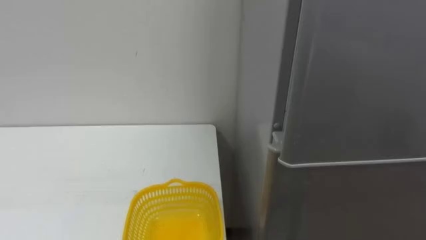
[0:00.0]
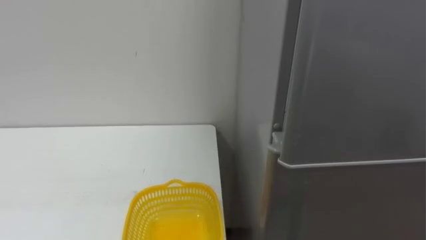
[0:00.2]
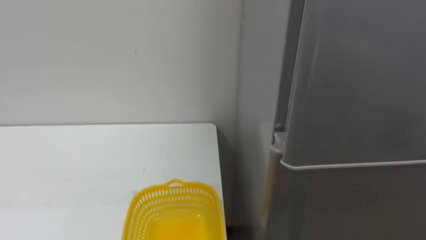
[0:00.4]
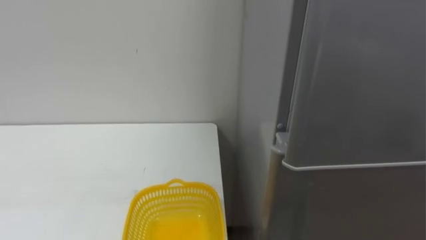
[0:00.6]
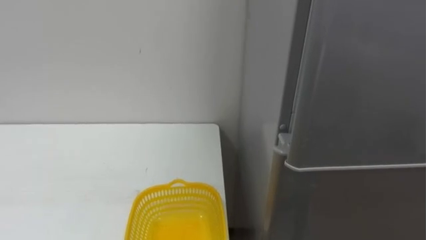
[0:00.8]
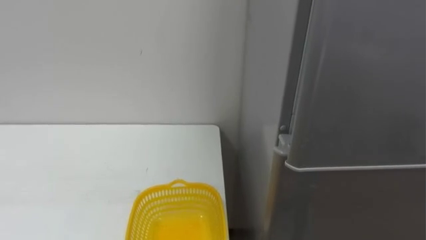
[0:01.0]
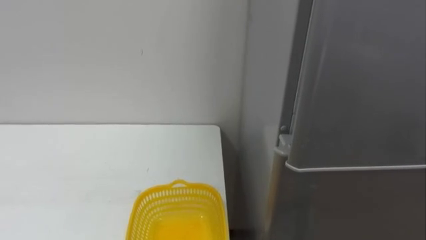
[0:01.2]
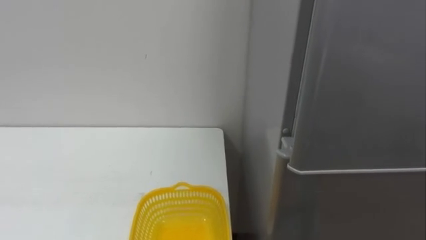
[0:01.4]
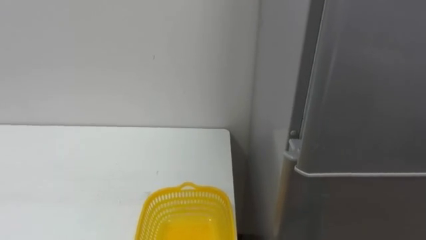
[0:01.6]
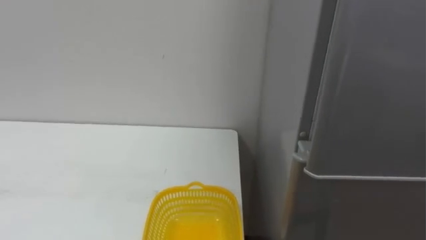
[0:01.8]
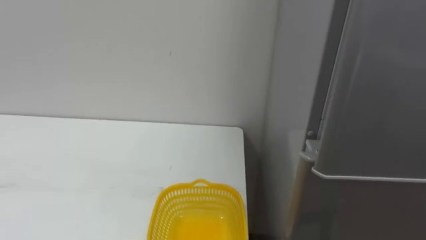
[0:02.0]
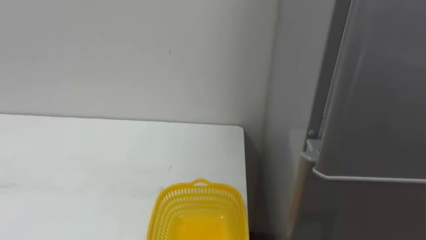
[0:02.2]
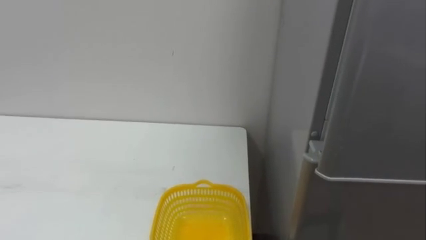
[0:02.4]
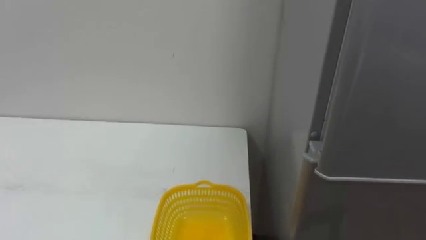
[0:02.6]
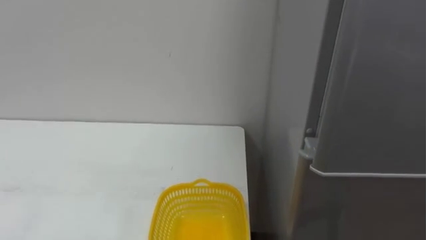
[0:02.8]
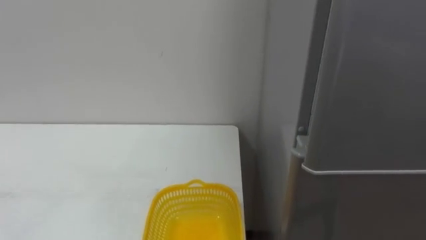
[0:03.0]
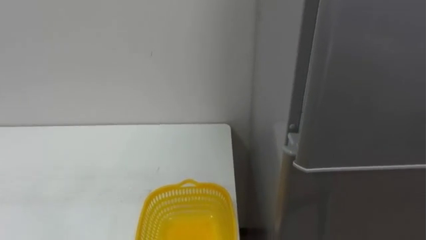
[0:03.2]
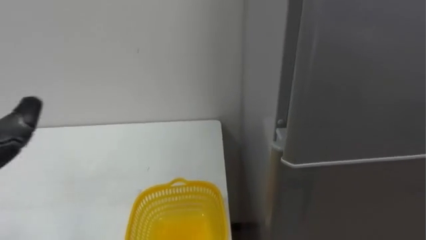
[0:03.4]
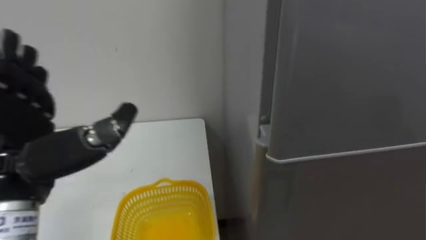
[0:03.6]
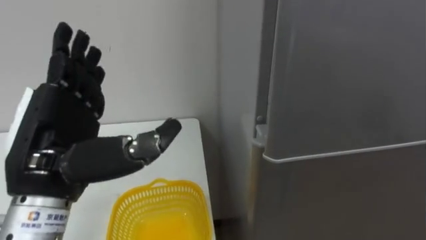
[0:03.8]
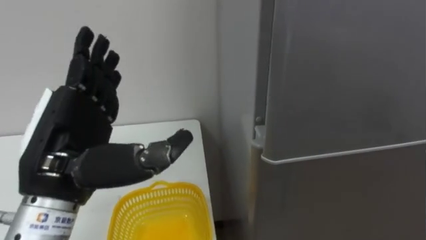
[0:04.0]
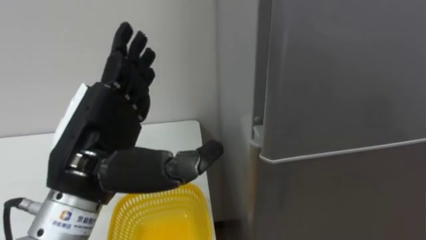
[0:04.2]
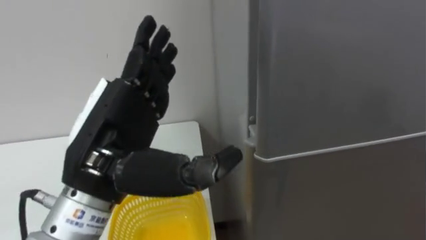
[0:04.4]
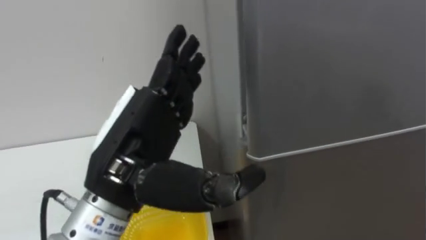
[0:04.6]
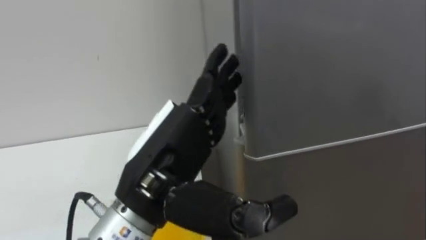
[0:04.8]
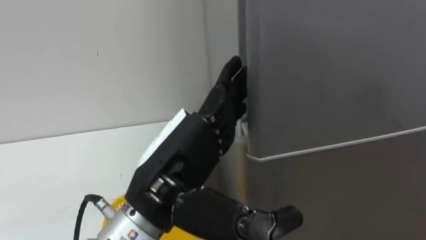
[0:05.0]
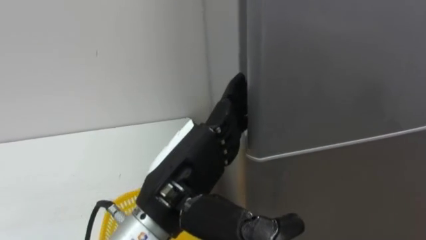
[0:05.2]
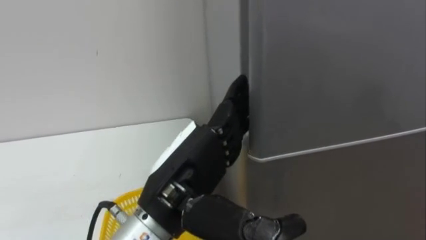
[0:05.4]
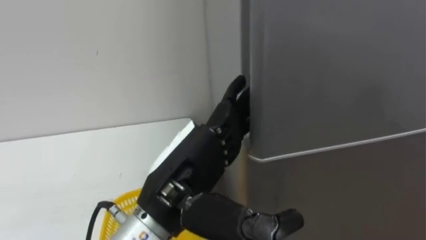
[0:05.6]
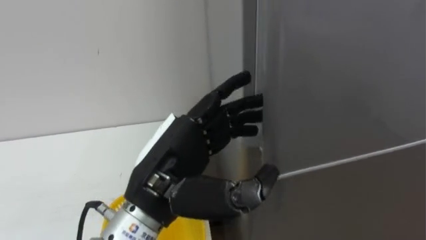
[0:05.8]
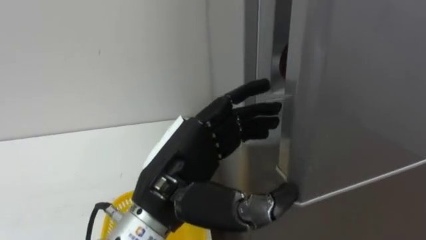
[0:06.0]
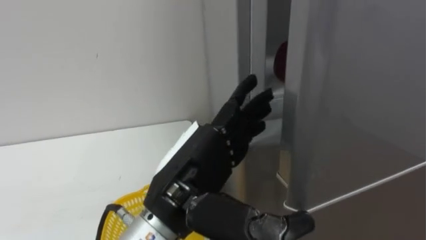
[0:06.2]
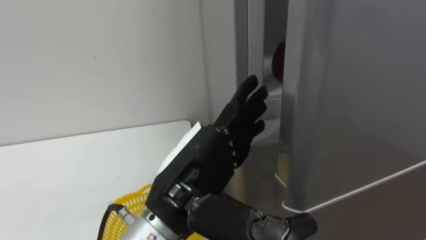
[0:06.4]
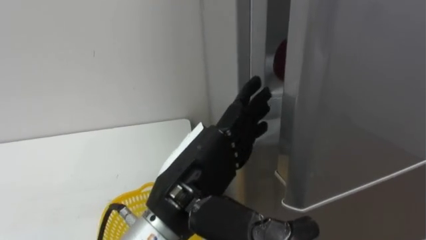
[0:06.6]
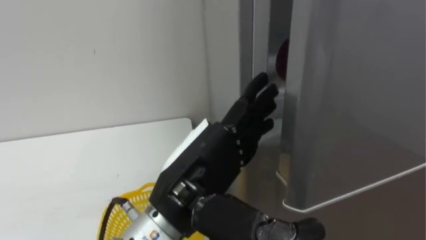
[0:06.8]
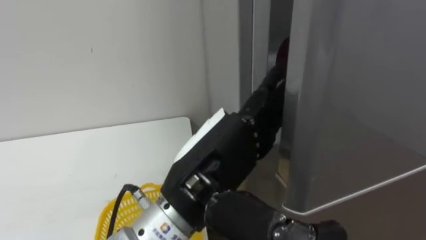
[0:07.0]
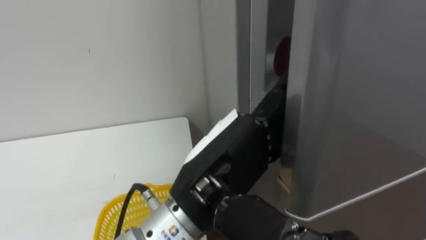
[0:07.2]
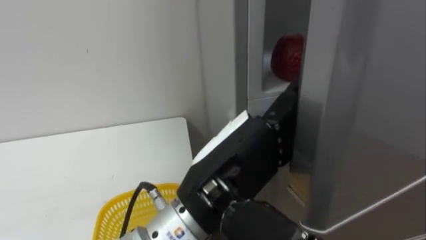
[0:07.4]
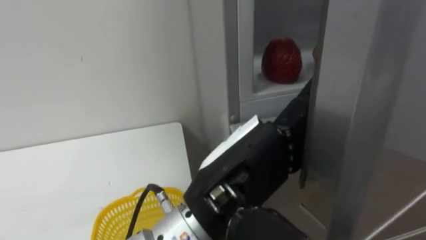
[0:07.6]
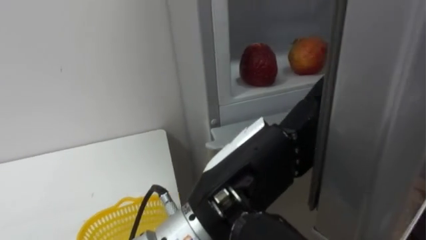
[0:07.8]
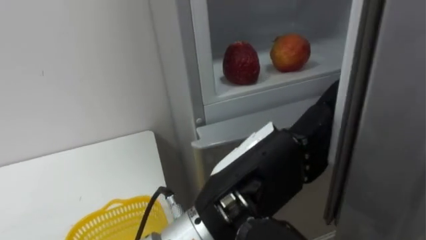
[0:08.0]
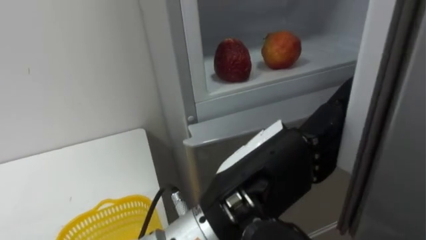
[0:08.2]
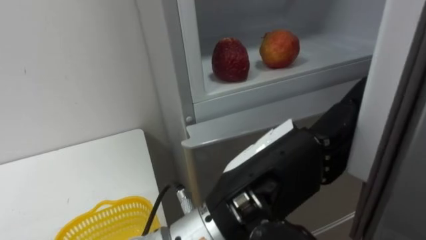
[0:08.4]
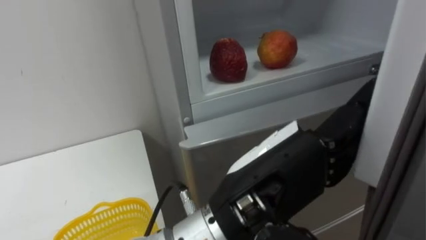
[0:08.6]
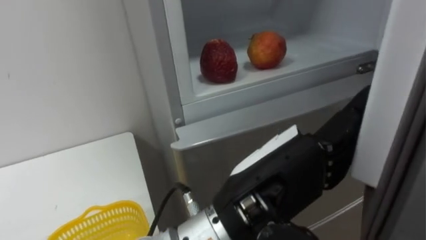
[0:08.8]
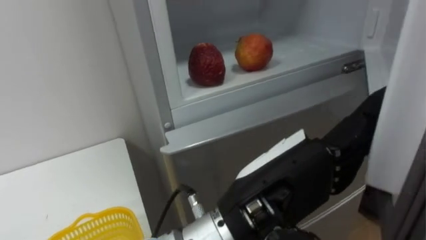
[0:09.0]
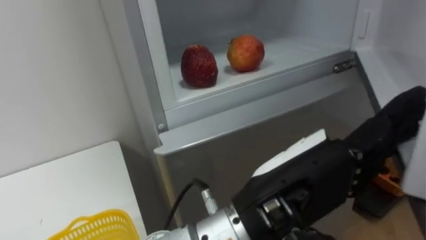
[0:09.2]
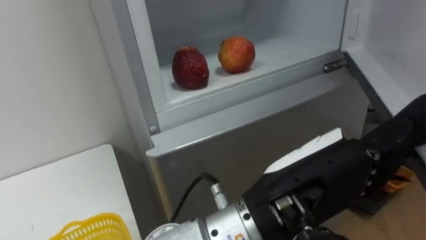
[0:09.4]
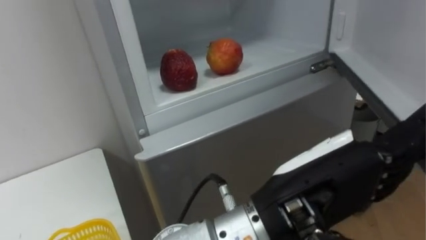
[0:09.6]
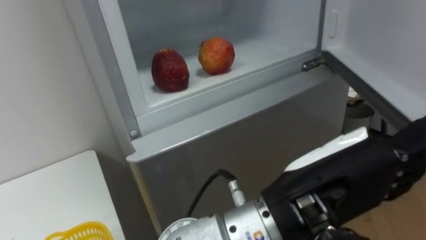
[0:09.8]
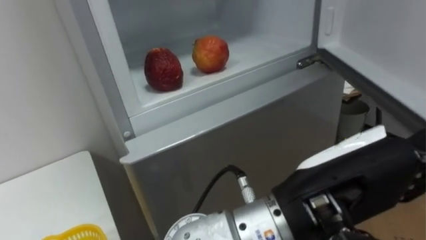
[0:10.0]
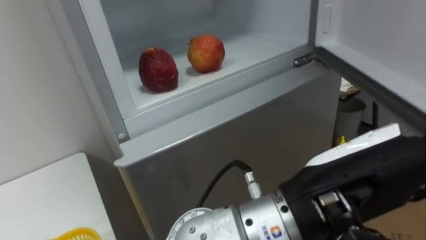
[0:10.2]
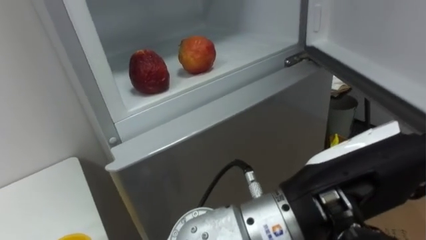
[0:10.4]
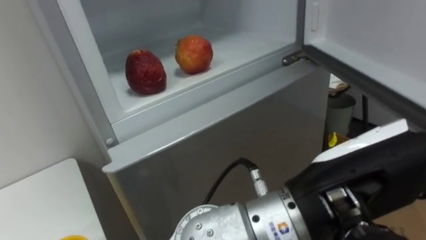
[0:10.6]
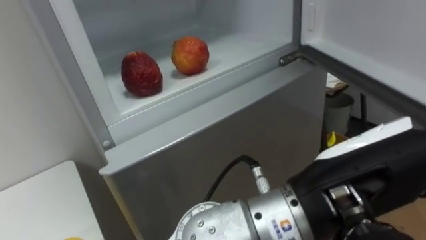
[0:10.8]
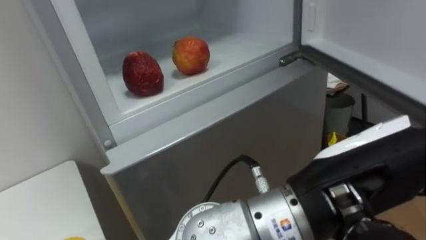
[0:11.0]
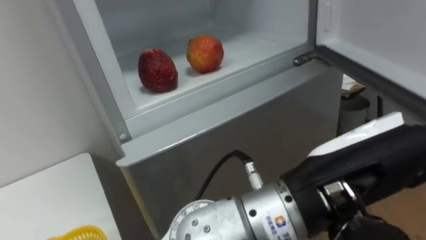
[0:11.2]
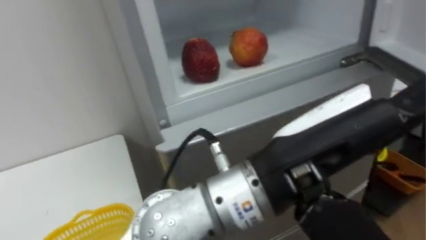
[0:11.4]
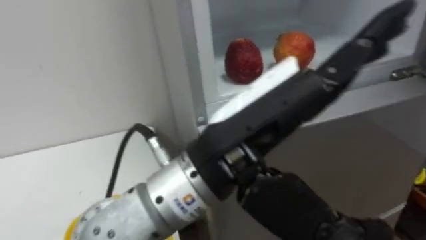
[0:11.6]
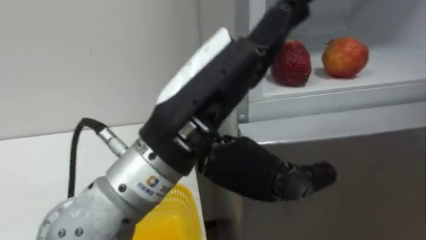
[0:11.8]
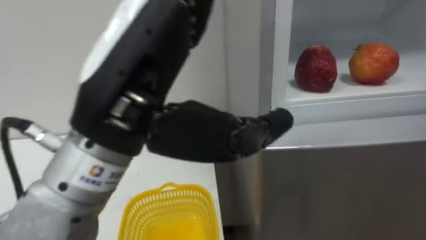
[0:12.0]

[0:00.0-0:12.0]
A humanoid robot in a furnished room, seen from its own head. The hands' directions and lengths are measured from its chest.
Task of the whole recording: Open the refrigerator door, take out the apple and the pomegranate, place them in the fruit basket on the left, and close the refrigerator door.
0:04.4 to 0:06.0: The left hand goes approximately 5 cm to the right.
0:06.0 to 0:07.6: The left hand moves to the right, roughly 5 cm.
0:09.0 to 0:10.4: The left hand moves to the right, roughly 5 cm.
0:10.4 to 0:12.0: The left hand moves to the left and upward, roughly 20 cm.

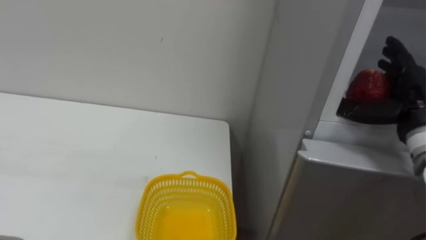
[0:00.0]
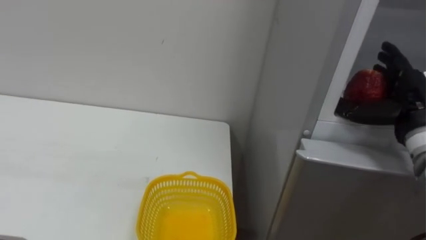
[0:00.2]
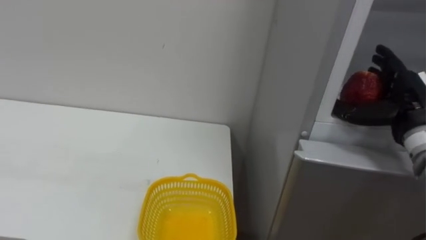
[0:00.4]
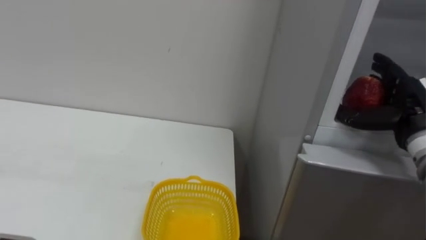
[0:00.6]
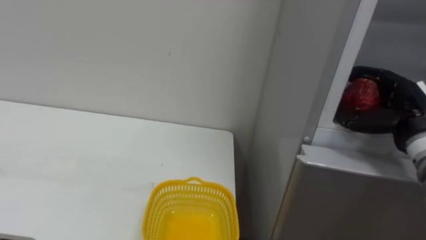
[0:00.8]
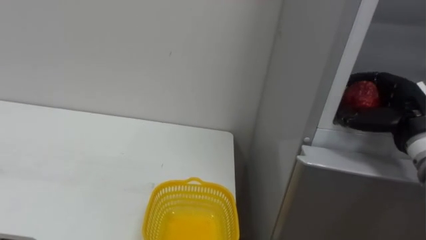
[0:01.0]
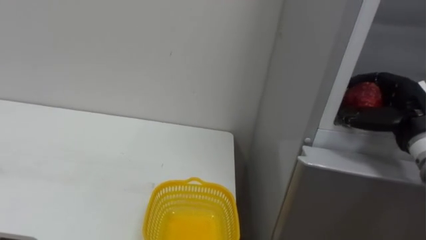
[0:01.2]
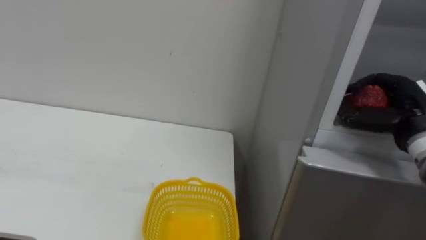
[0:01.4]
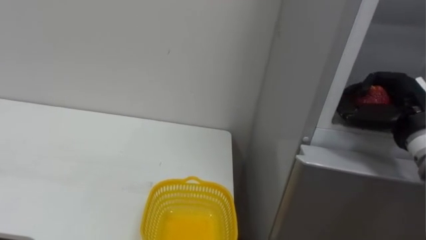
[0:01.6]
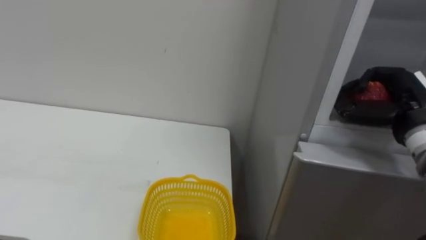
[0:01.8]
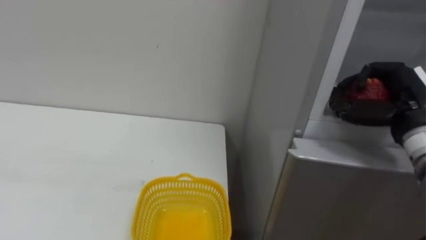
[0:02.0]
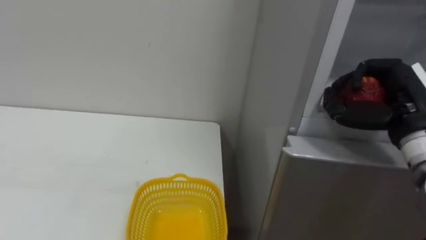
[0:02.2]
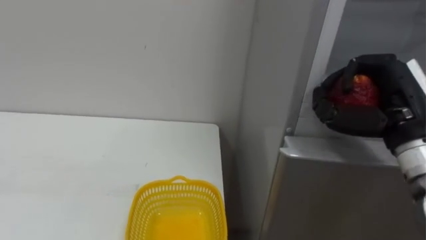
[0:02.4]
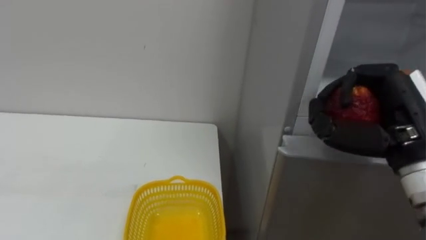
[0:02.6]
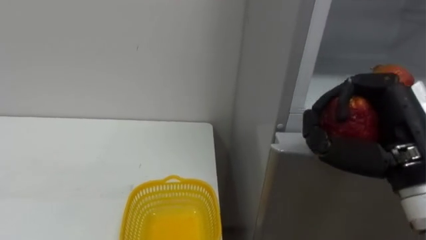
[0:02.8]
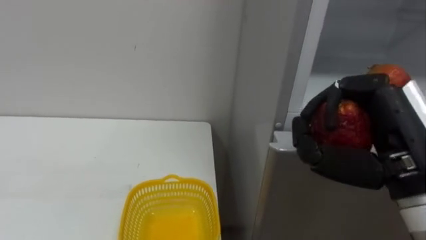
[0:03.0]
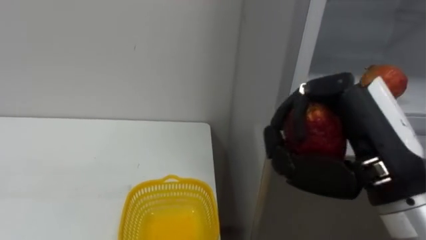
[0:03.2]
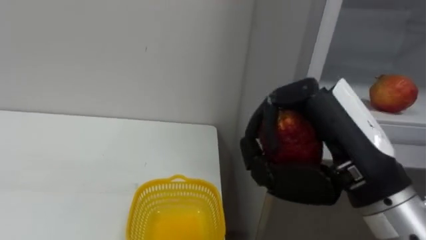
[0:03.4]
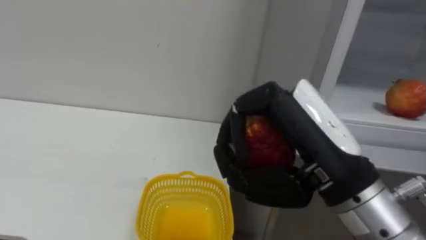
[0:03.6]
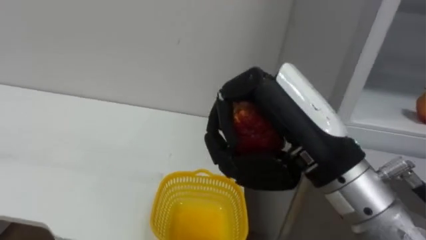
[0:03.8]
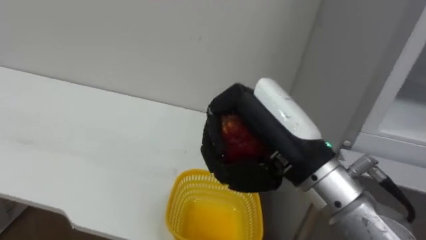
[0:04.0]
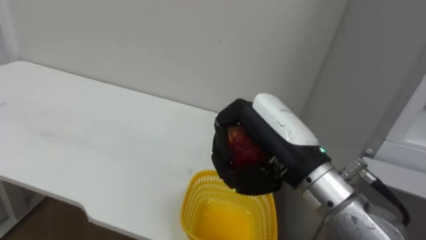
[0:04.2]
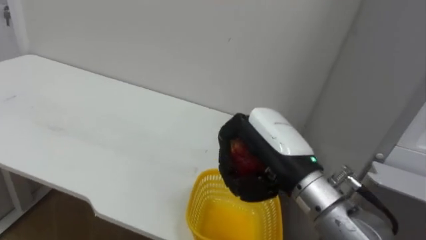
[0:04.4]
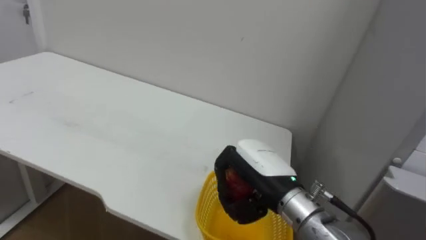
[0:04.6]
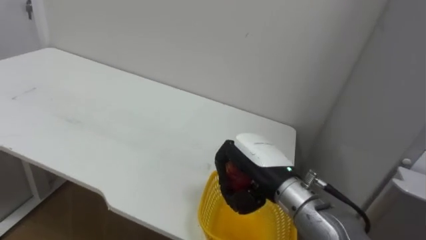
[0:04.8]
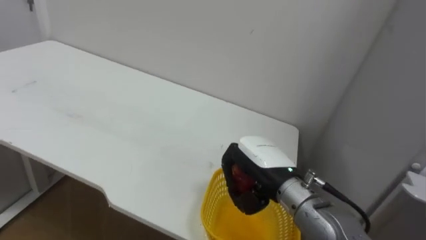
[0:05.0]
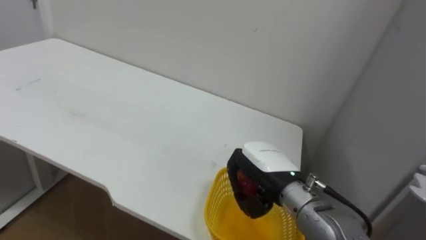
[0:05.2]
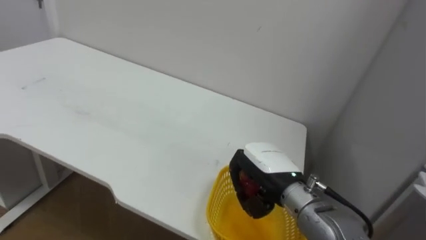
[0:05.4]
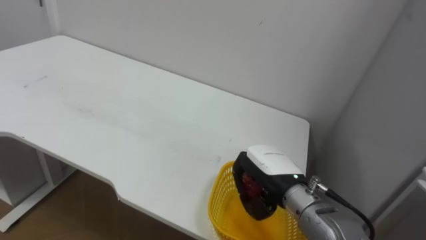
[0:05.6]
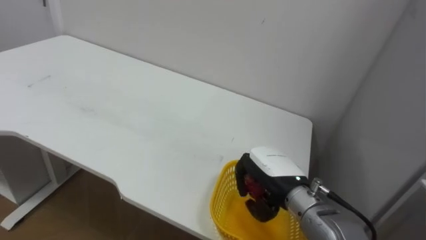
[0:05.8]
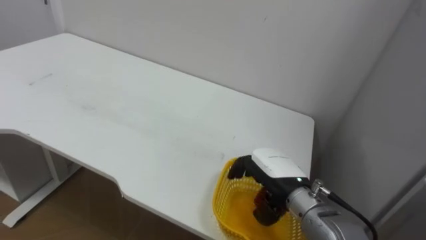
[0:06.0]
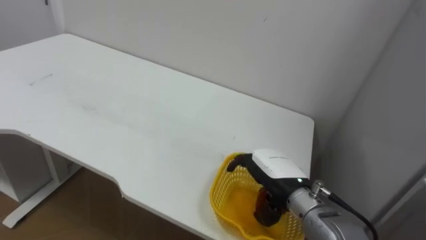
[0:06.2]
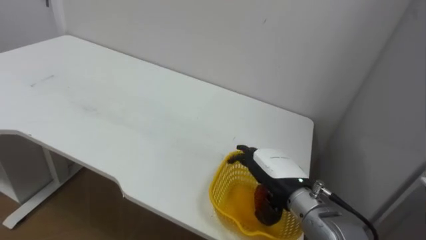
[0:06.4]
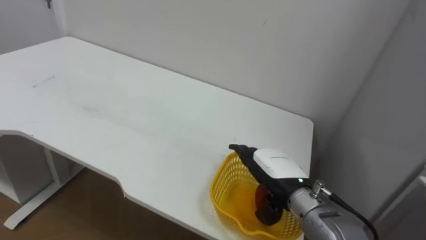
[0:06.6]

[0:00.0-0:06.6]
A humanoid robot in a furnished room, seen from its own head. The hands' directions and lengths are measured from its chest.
Task of the whole recording: Open the refrigerator door, take out the apple and the pomegranate, place them in the fruit basket on the left, and close the refrigerator door.
0:00.0 to 0:01.6: The right hand closes.
0:01.6 to 0:03.2: The right hand is displaced backward and to the left by some 20 cm.
0:03.2 to 0:05.0: The right hand goes some 20 cm downward, forward and to the left.
0:05.0 to 0:06.6: The right hand changes place by some 5 cm, and opens.
